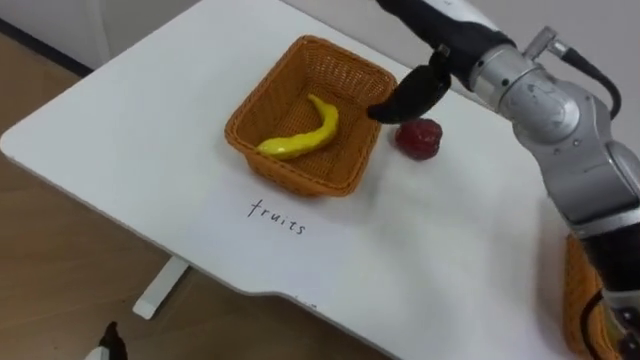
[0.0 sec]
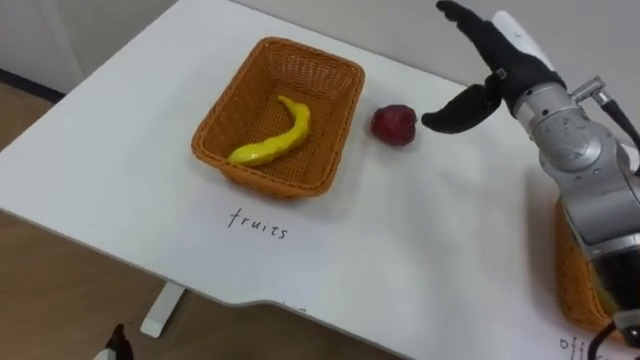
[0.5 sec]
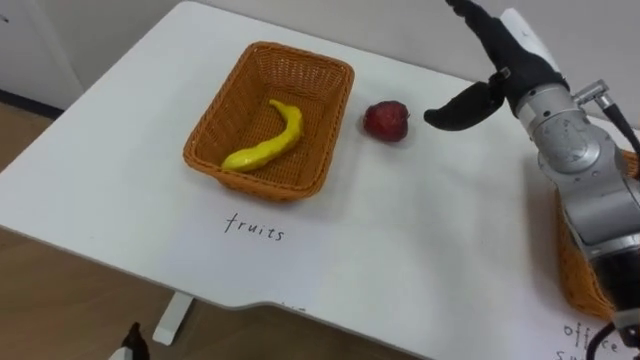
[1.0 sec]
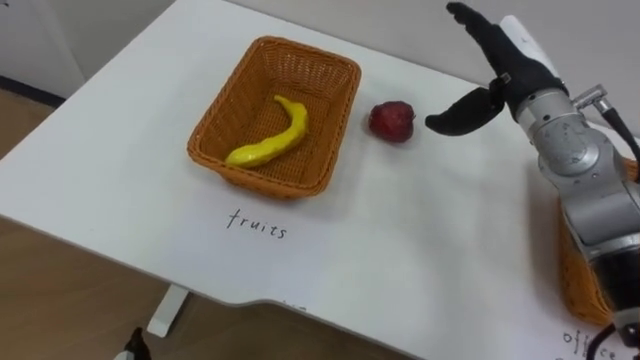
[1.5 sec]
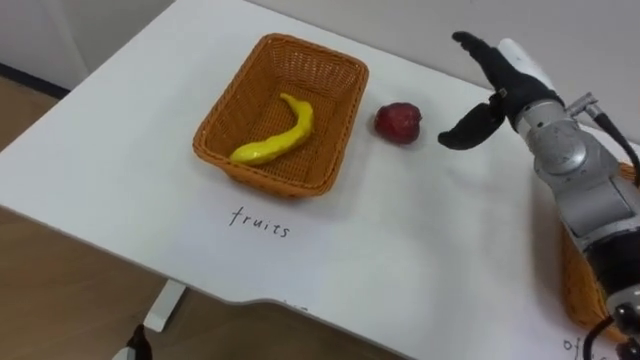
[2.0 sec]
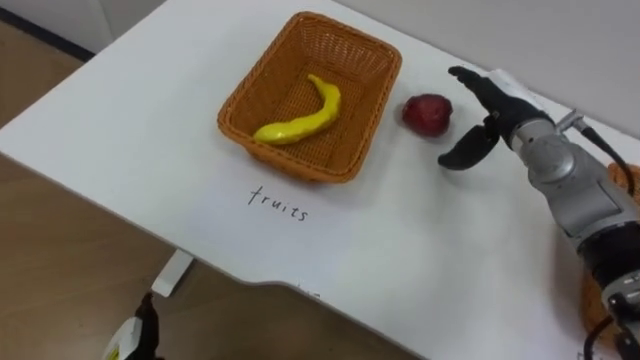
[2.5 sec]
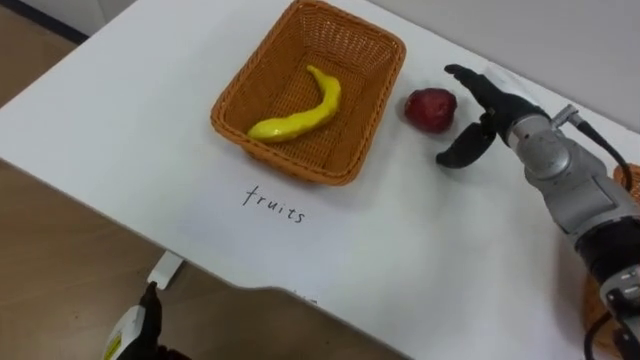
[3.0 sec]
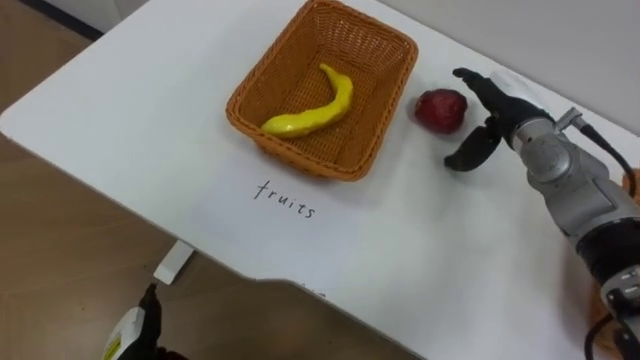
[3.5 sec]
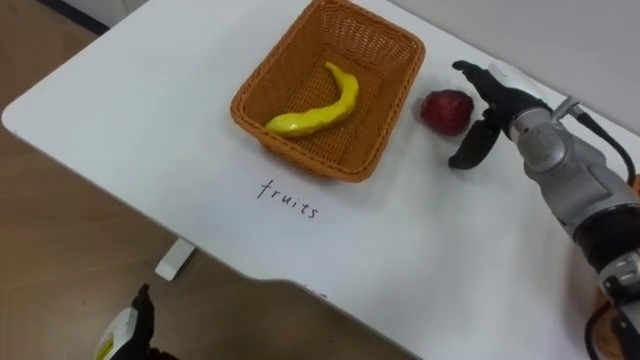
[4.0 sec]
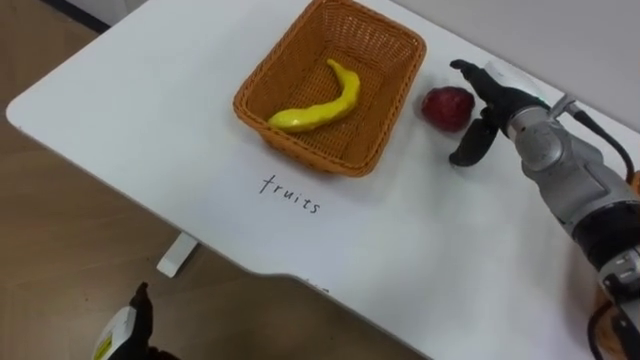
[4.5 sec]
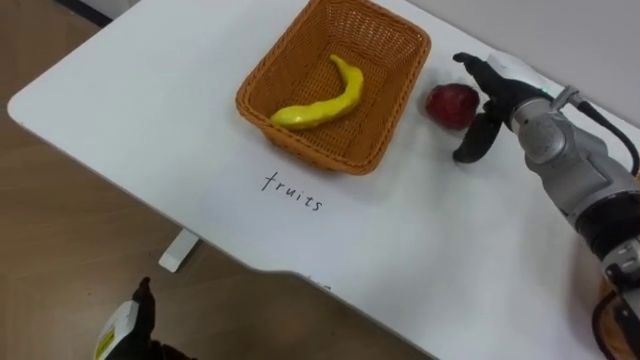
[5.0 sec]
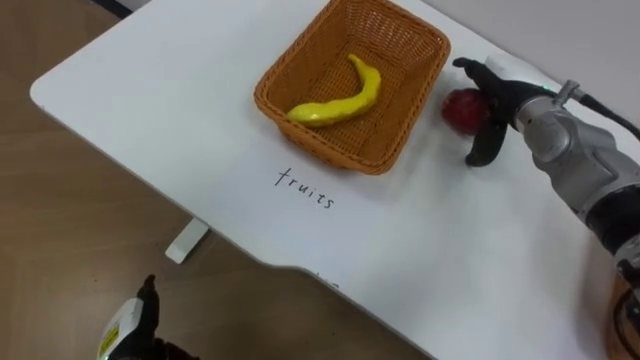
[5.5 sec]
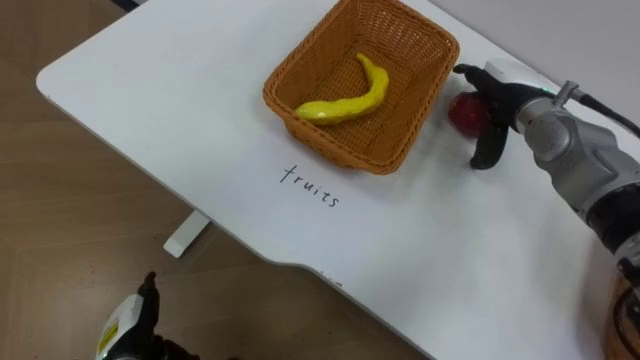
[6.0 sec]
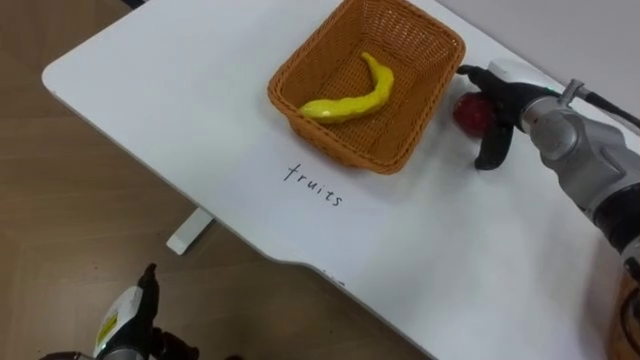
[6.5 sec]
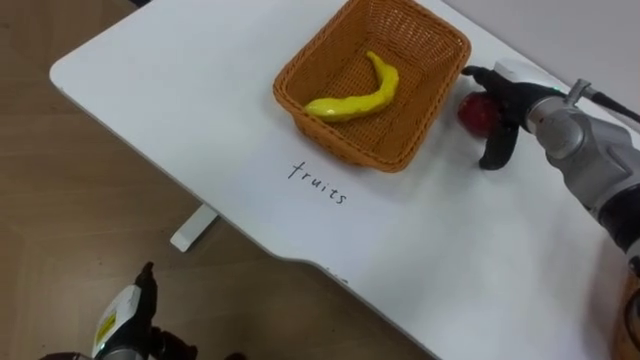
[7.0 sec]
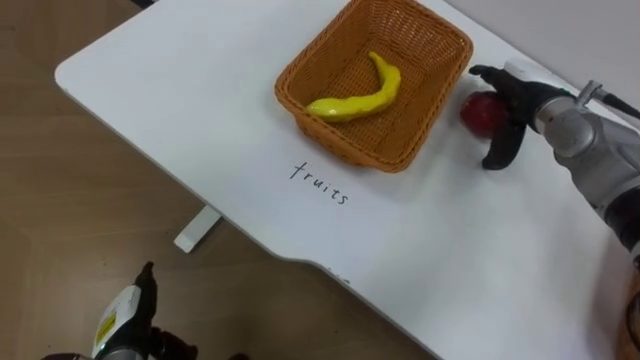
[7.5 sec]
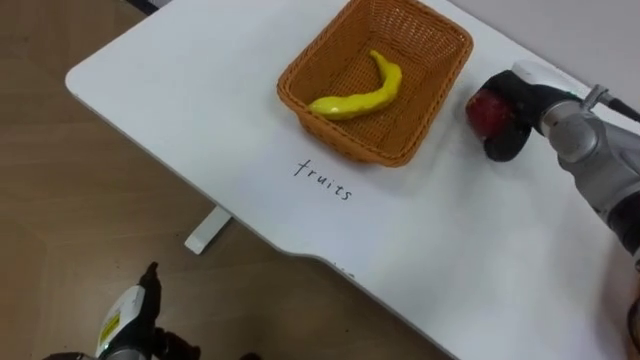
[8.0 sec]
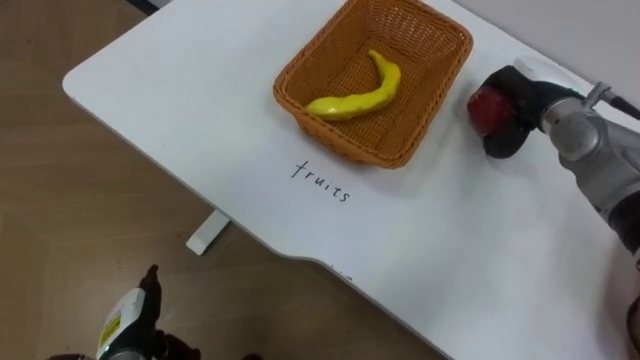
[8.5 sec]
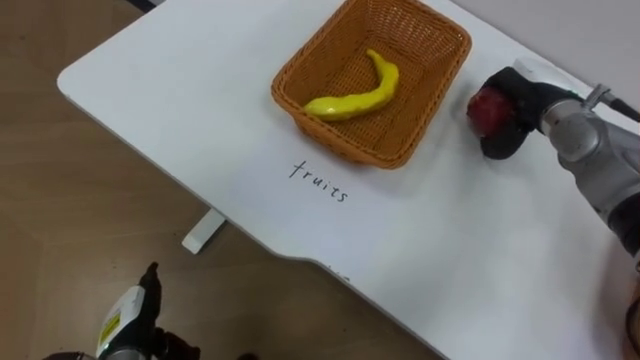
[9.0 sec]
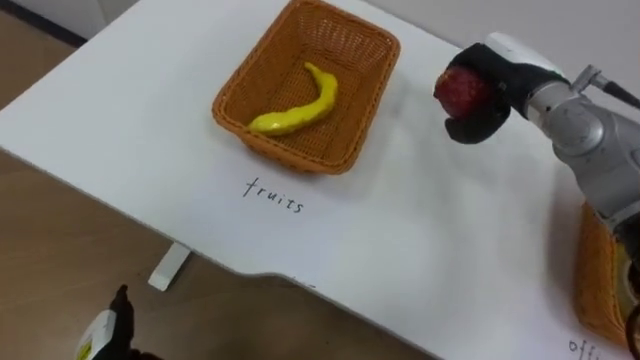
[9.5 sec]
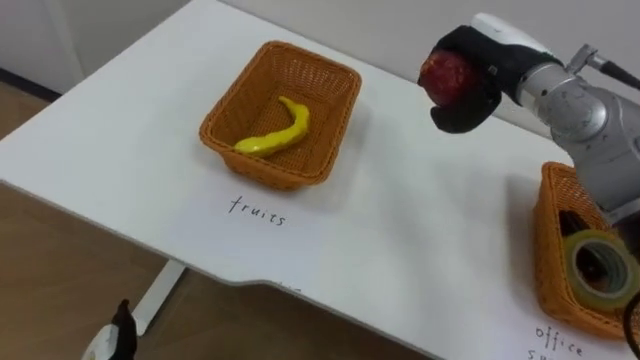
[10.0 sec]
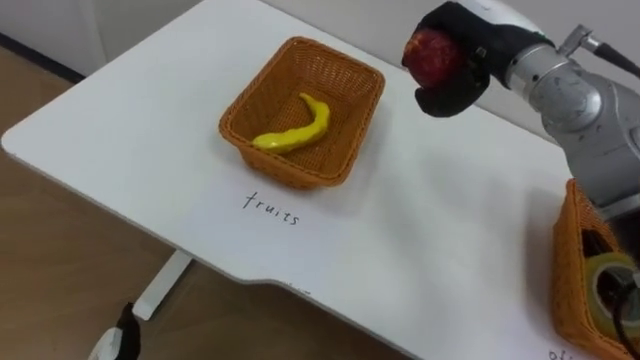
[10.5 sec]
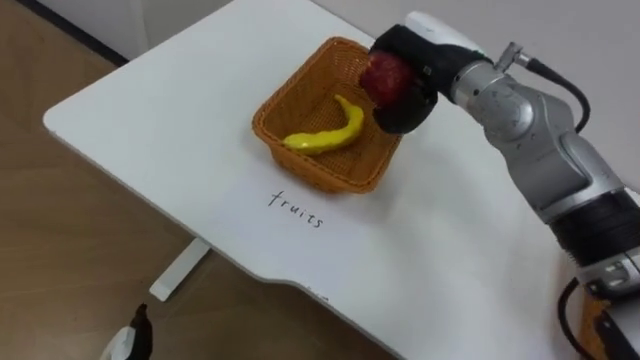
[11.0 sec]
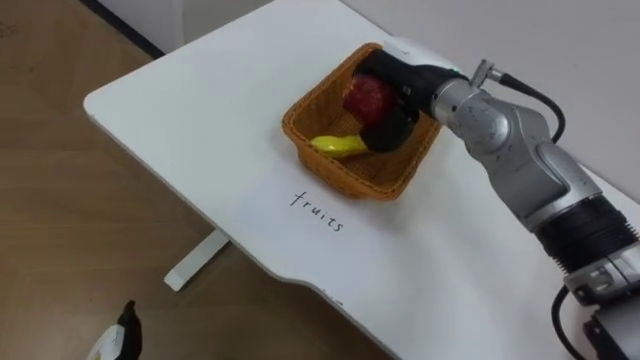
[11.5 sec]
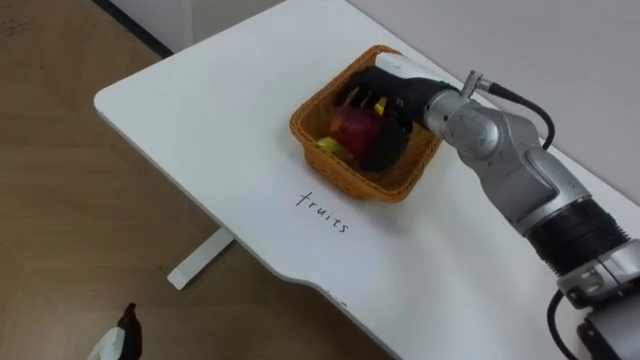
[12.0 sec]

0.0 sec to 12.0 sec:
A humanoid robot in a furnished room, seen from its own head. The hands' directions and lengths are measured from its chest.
Task of the whole recording: Separate the items on the table and place them into the two baskets.
0.0 sec to 2.0 sec: The right hand shifts about 15 cm to the right and downward.
6.0 sec to 8.0 sec: The right hand closes up.
8.0 sec to 10.0 sec: The right hand heads upward and to the left, covering roughly 10 cm.
10.0 sec to 12.0 sec: The right hand heads to the left, covering approximately 10 cm.

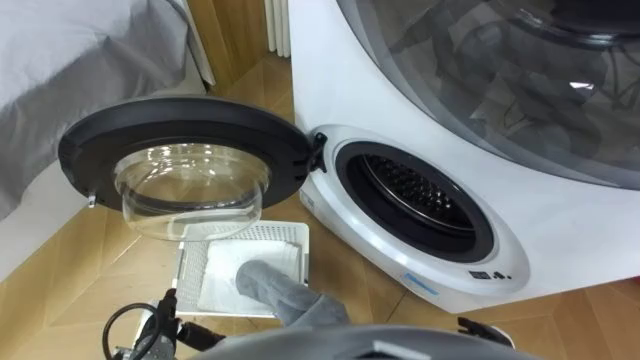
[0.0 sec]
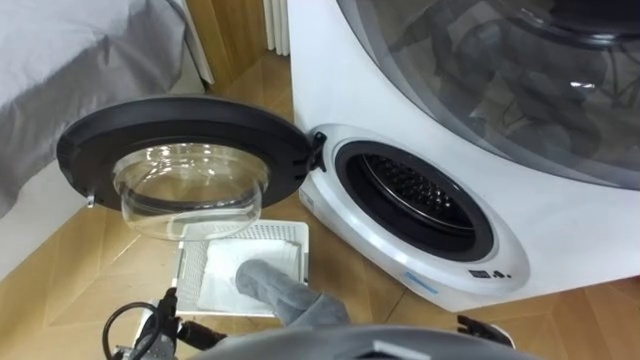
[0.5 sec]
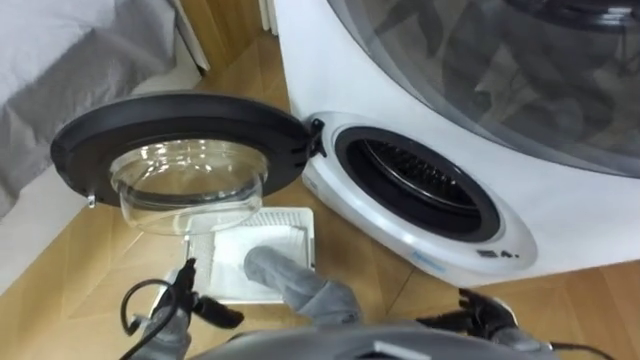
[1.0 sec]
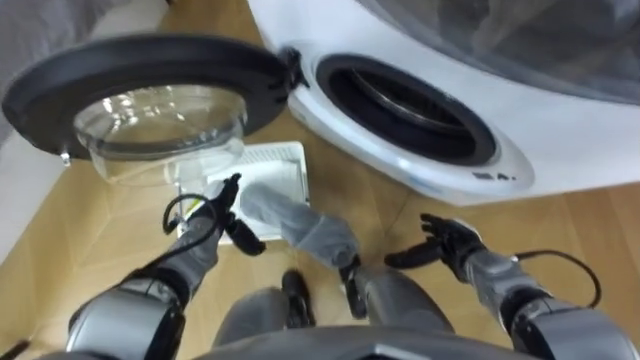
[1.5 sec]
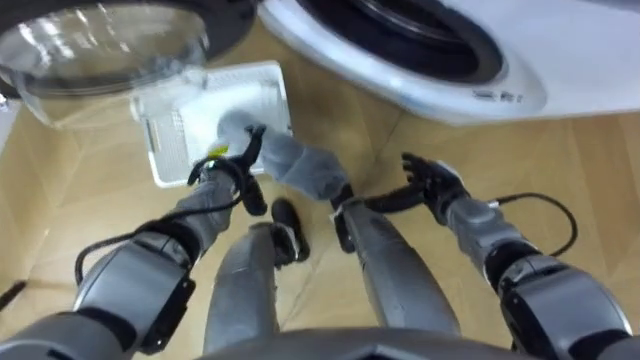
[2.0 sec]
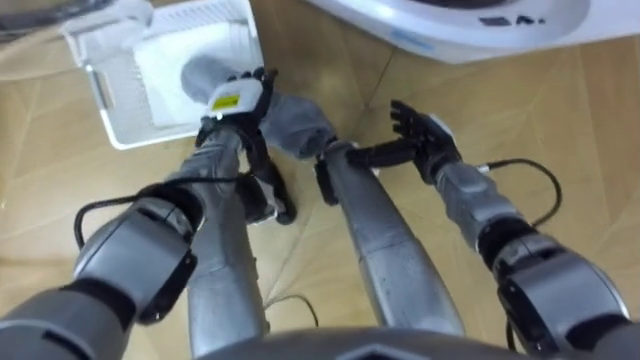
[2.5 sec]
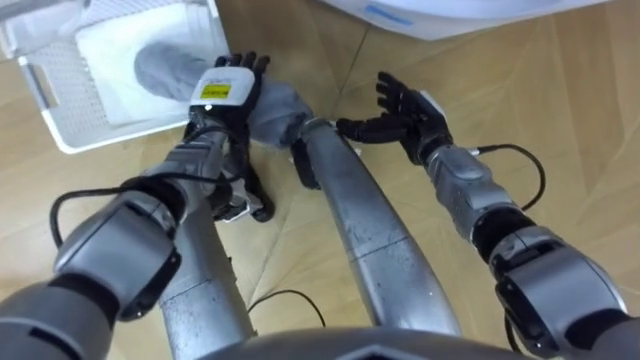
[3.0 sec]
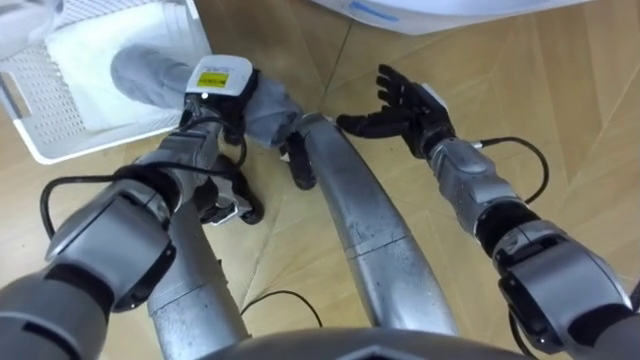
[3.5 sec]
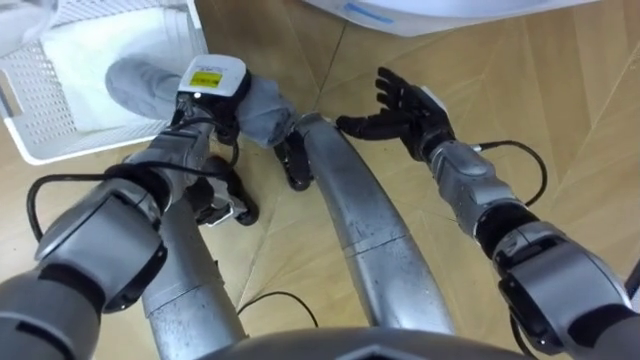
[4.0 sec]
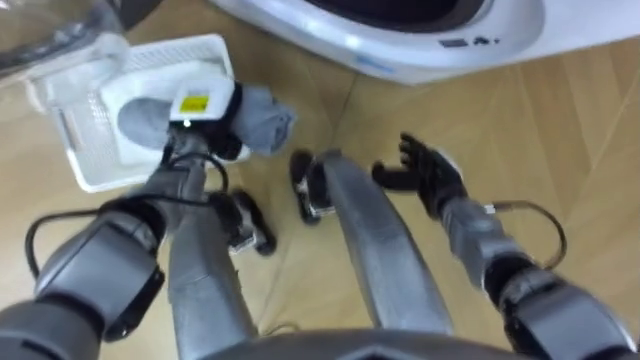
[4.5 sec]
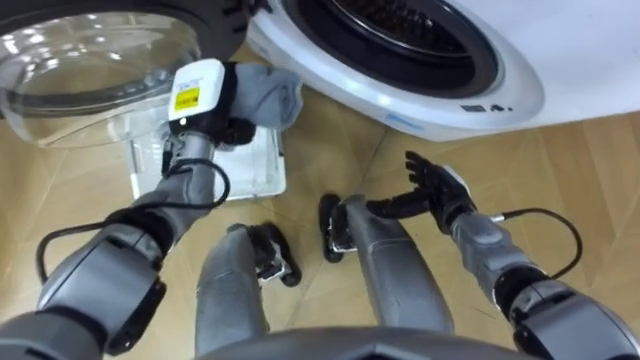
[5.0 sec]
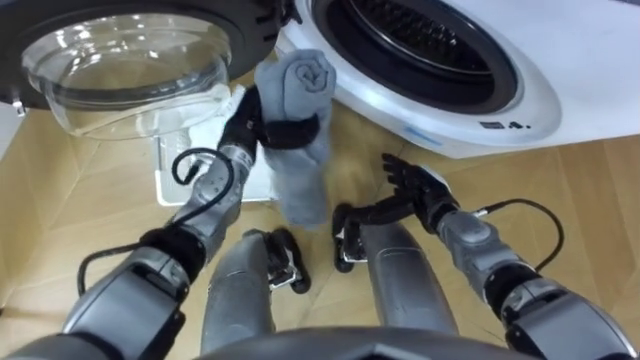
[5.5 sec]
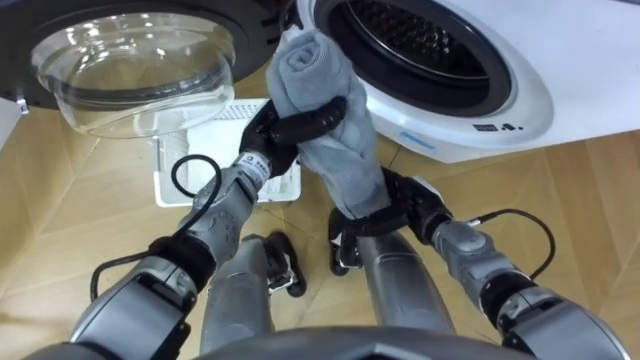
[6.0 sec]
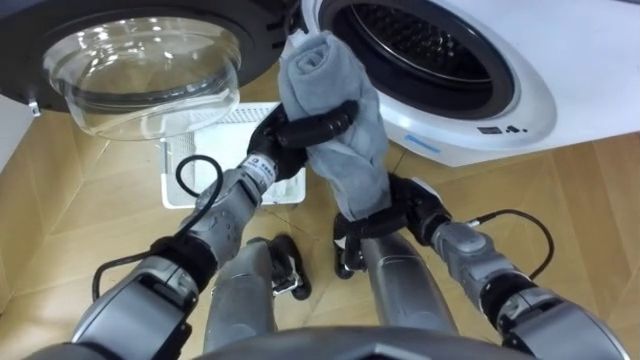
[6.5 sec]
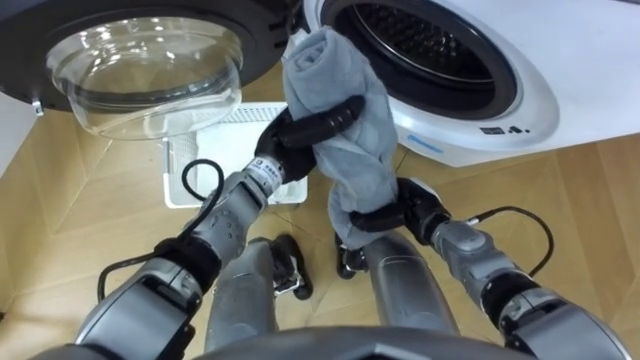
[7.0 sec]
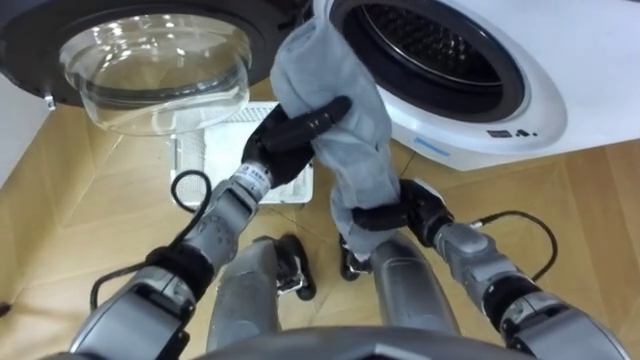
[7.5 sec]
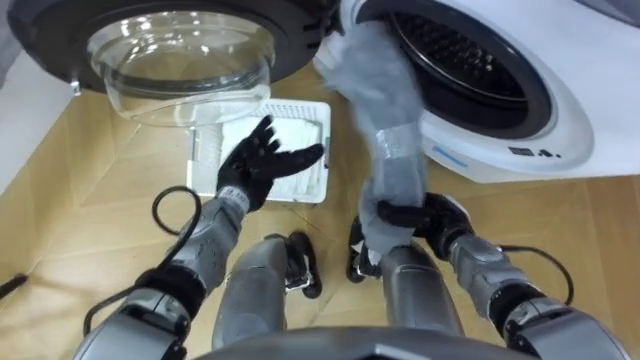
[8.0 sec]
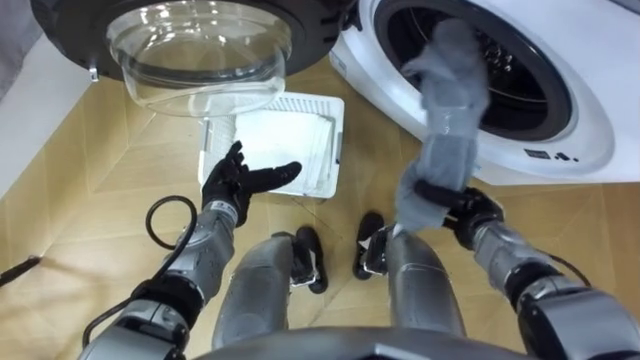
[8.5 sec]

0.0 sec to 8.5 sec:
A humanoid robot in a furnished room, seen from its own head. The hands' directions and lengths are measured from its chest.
Task of the whole recording: Take the towel from the basket and put it into the washing machine.
2.0 sec to 4.0 sec: Both hands move upward and forward, some 10 cm. The left hand closes its fingers.
4.0 sec to 6.5 sec: The left hand moves to the right and backward, approximately 10 cm; the right hand travels backward and downward by some 15 cm.
6.5 sec to 8.5 sec: The right hand travels to the right by roughly 10 cm, and closes, while the left hand moves to the left and downward, approximately 10 cm, and opens.
